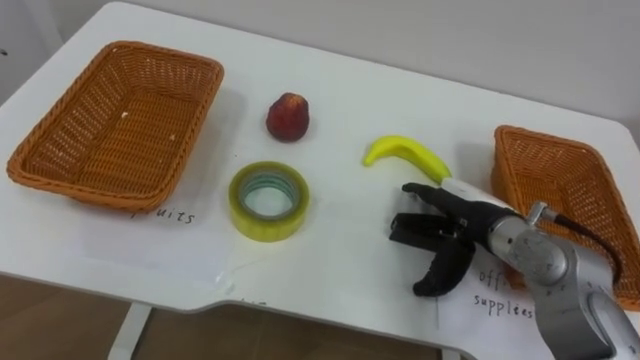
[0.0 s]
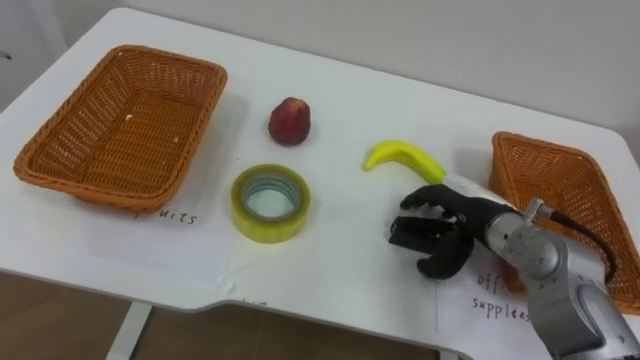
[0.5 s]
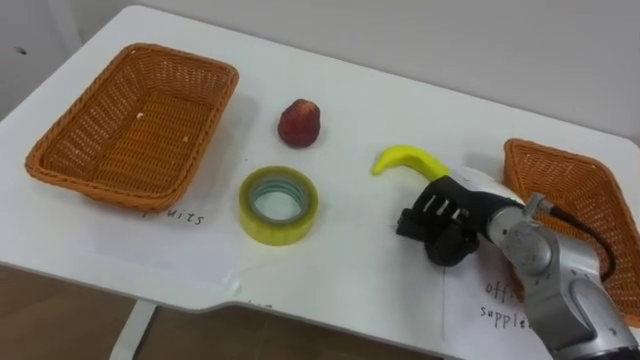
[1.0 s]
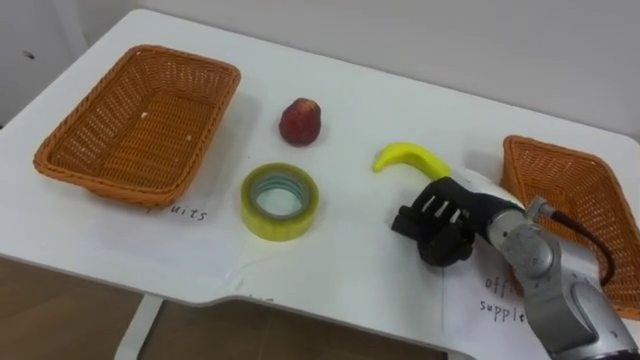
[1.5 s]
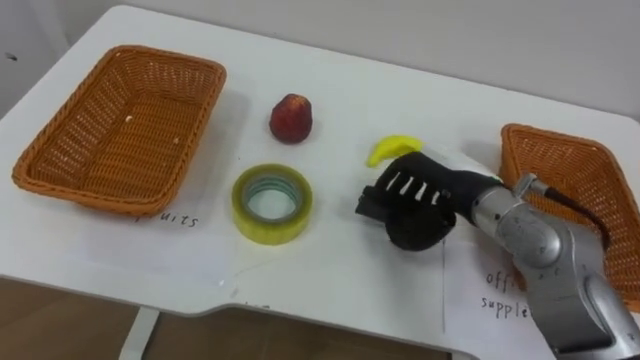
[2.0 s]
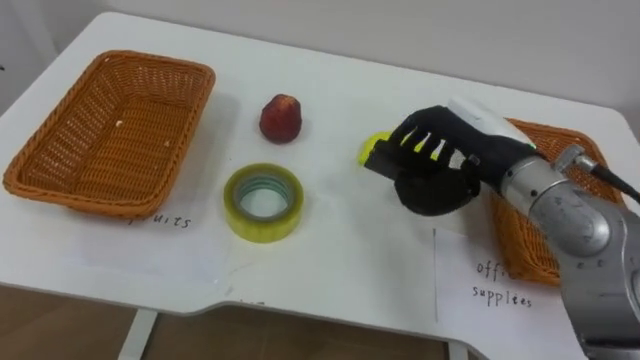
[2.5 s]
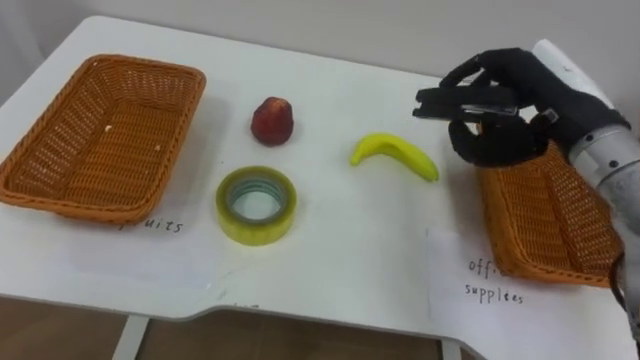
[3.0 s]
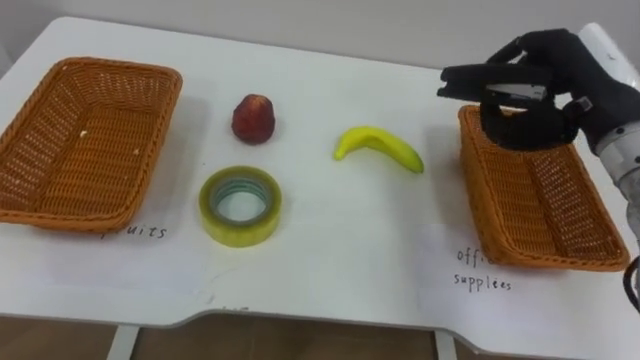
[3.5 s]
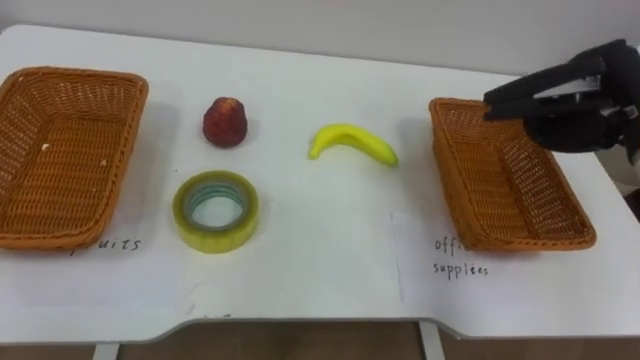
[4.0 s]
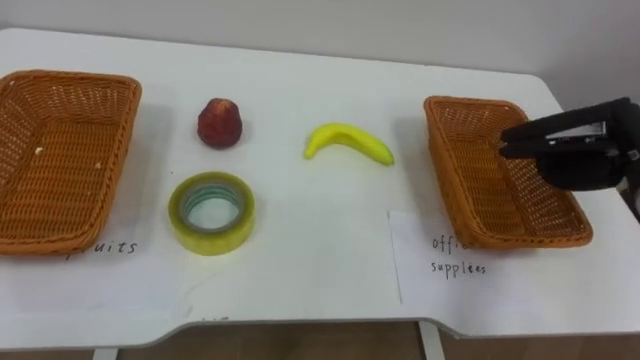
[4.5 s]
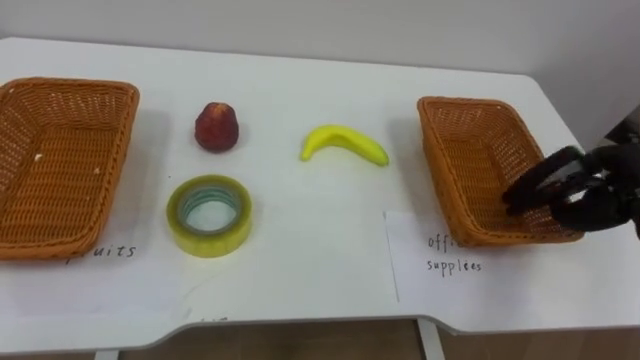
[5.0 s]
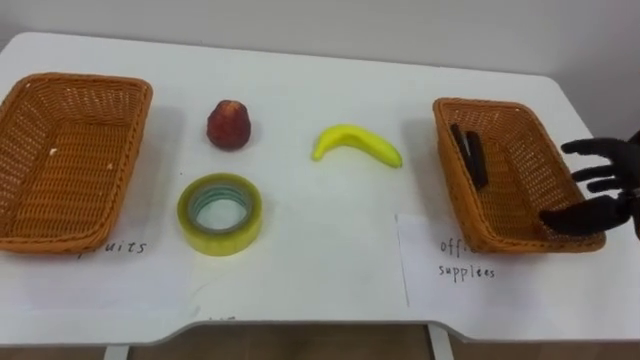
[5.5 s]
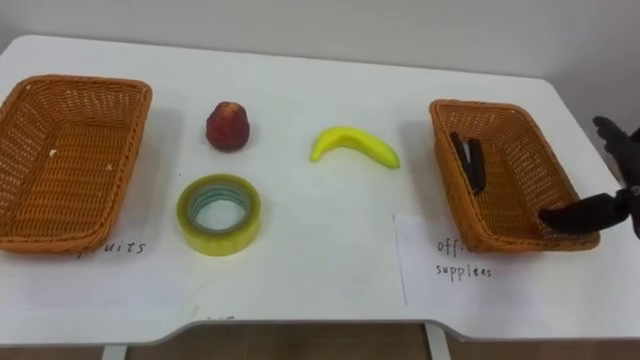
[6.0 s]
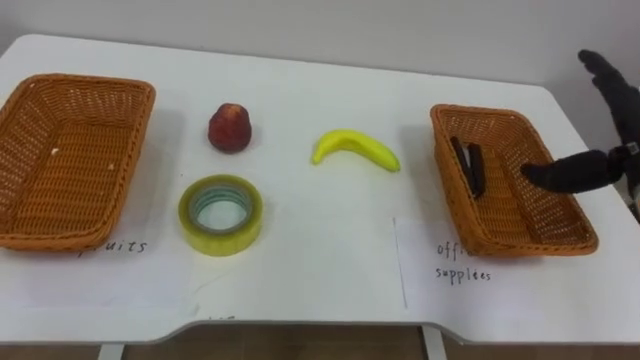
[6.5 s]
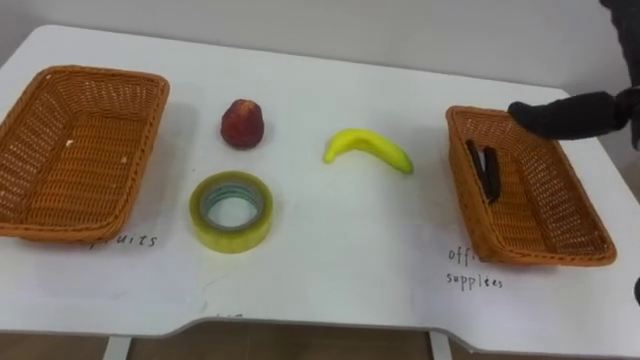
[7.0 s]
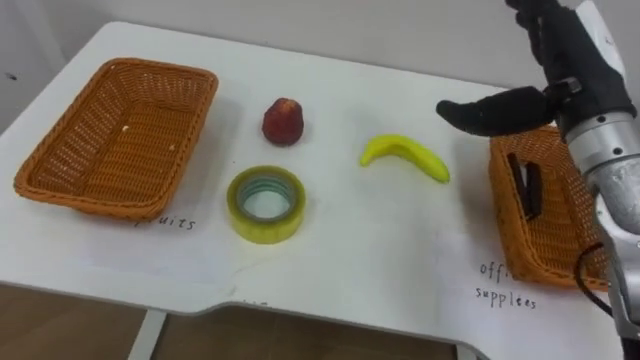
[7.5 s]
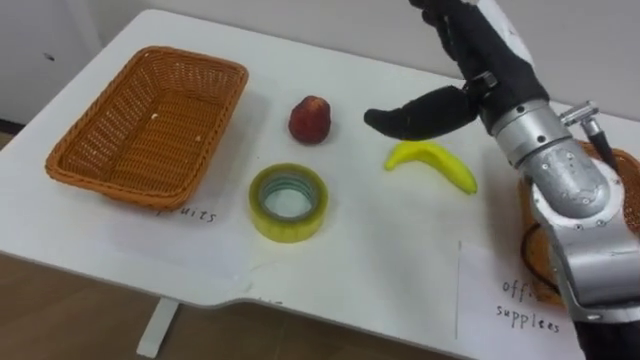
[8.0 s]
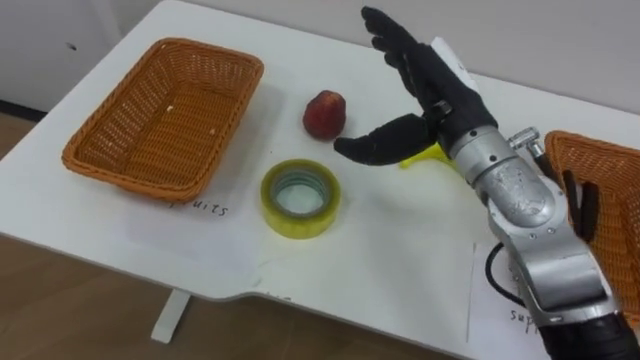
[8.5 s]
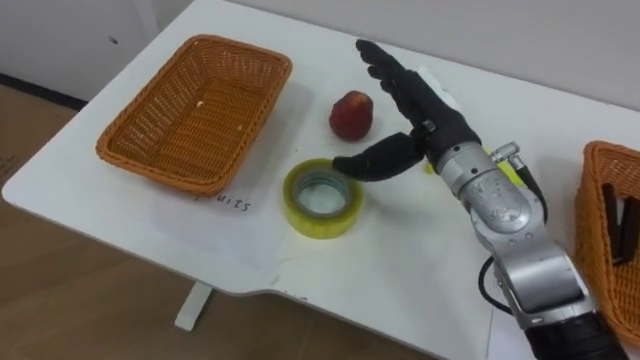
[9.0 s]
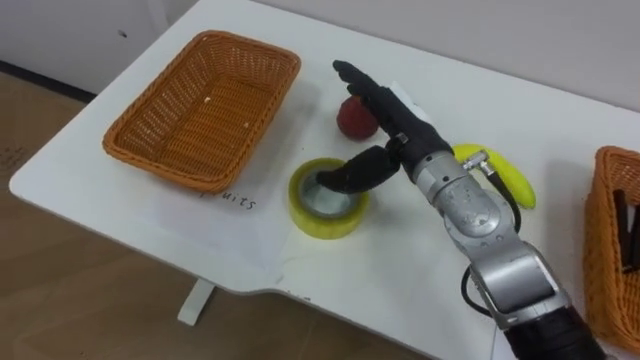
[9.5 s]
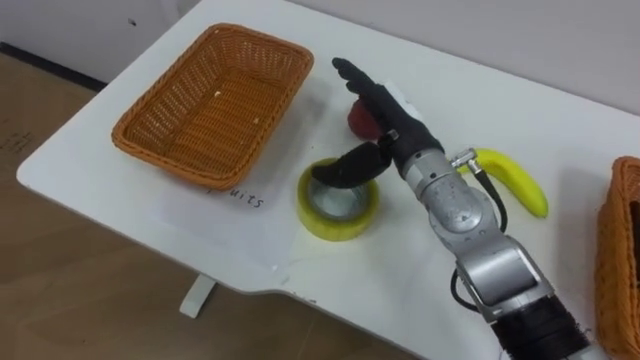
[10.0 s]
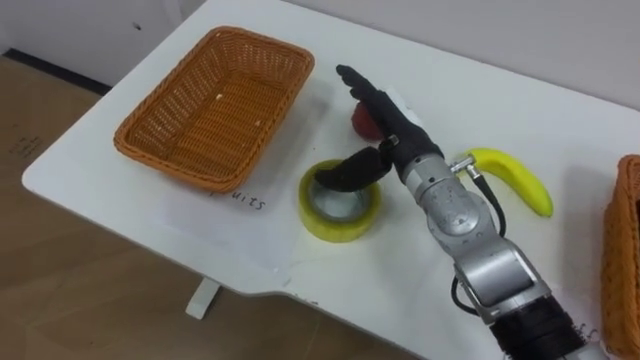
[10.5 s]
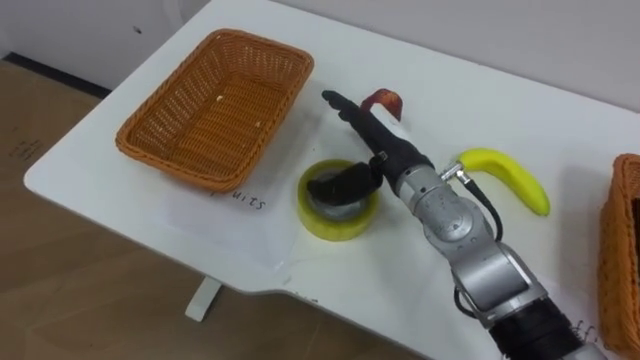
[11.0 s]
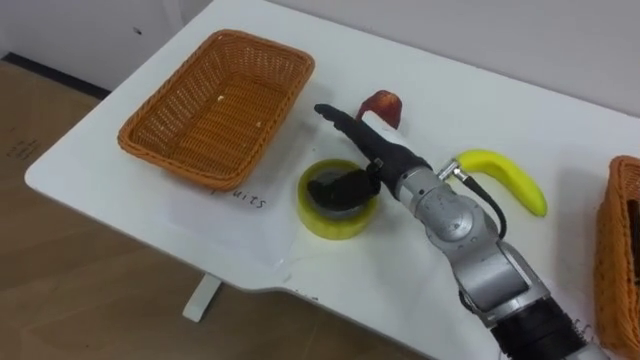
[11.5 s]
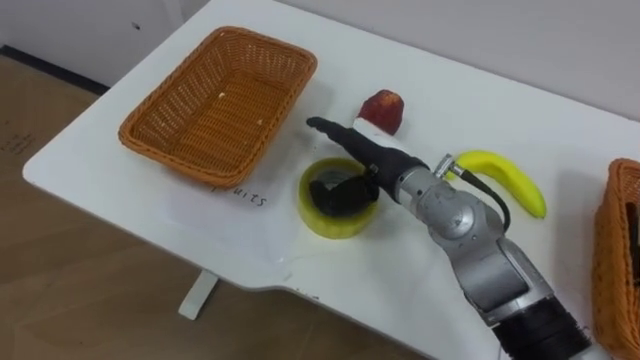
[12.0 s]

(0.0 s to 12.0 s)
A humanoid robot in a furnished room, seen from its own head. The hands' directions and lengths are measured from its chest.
Task of the whole recording: Separate the items on the table and place them into the two baskets.
0.0 s - 2.0 s: The right hand ends up approximately 5 cm from where it was, and closes.
2.0 s - 4.0 s: The right hand is displaced to the right and upward by roughly 20 cm, and closes up.
8.0 s - 10.0 s: The right hand is displaced downward and to the left by some 10 cm.

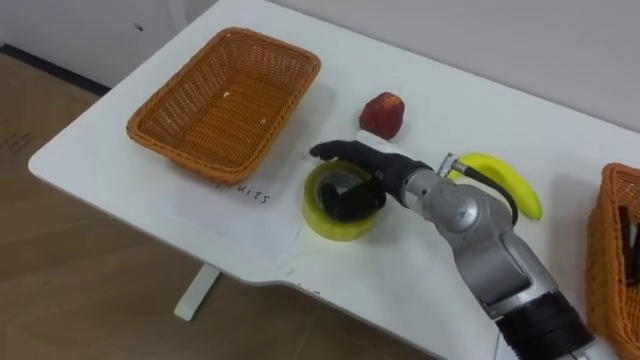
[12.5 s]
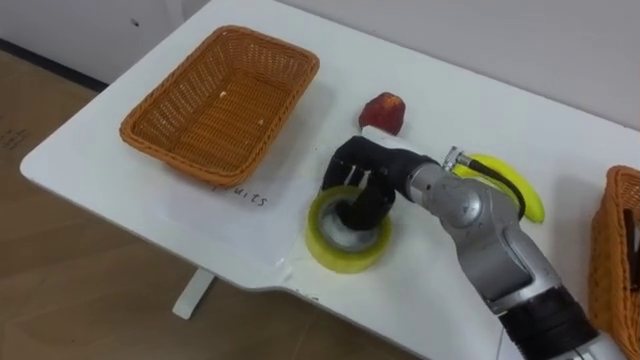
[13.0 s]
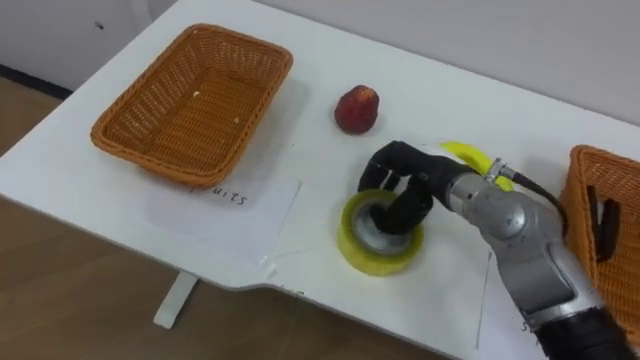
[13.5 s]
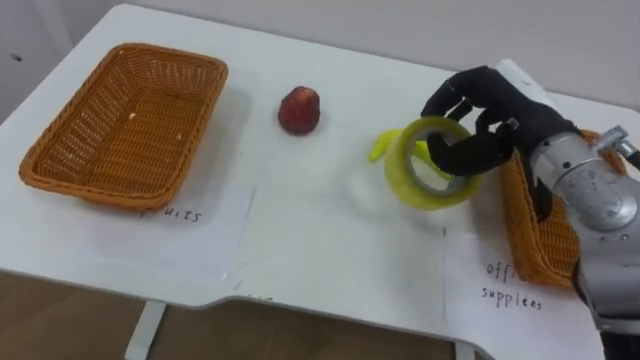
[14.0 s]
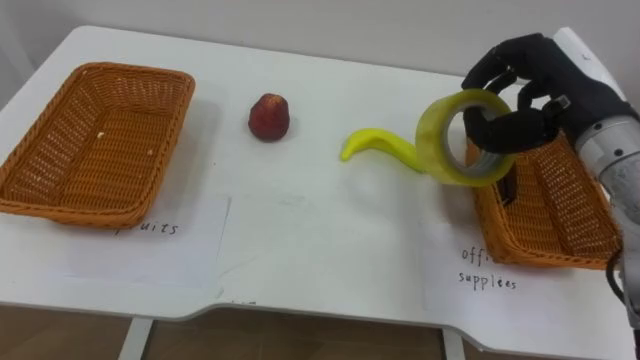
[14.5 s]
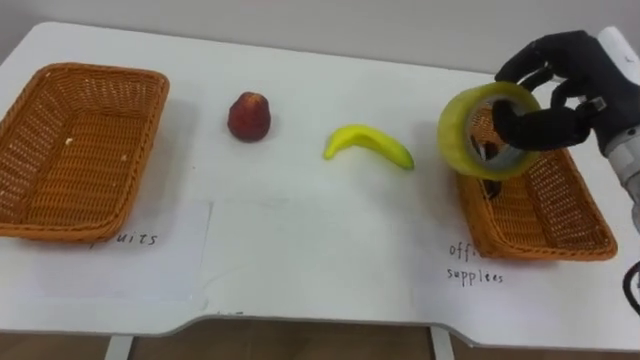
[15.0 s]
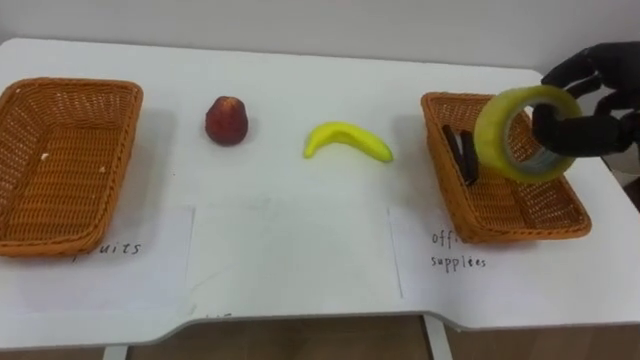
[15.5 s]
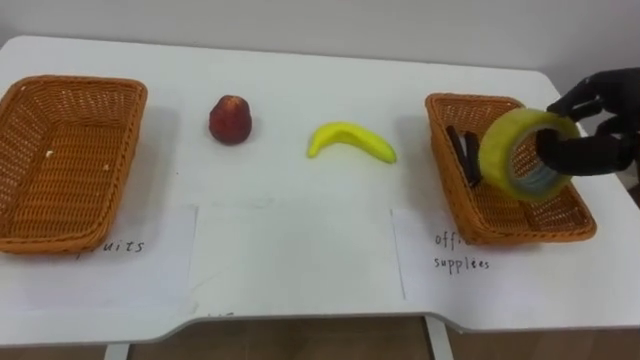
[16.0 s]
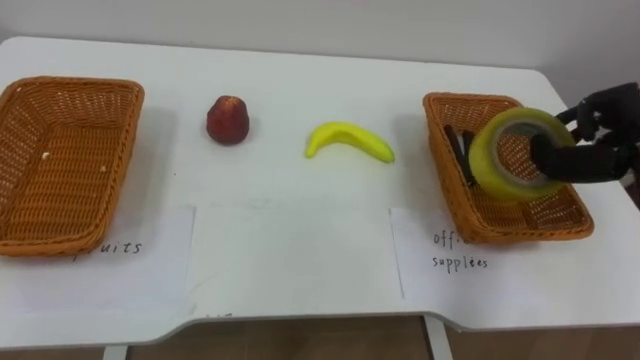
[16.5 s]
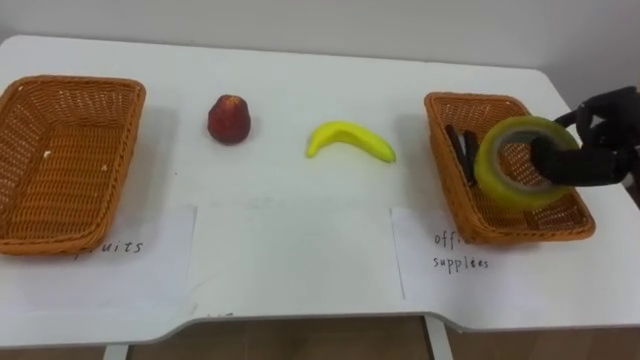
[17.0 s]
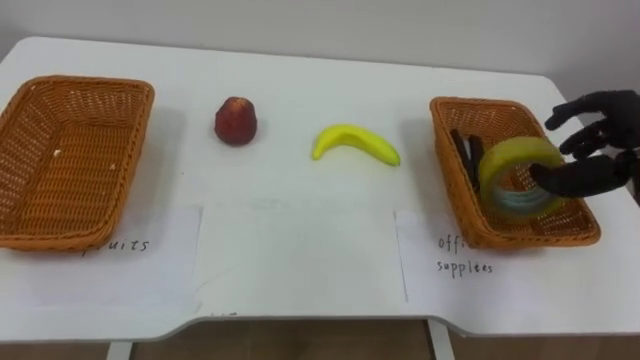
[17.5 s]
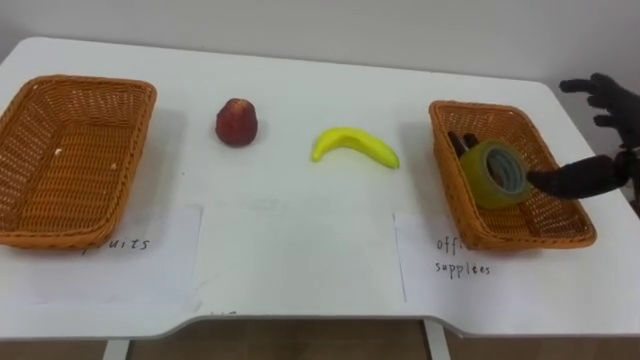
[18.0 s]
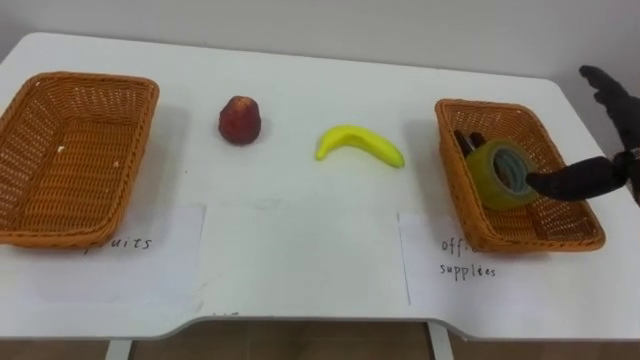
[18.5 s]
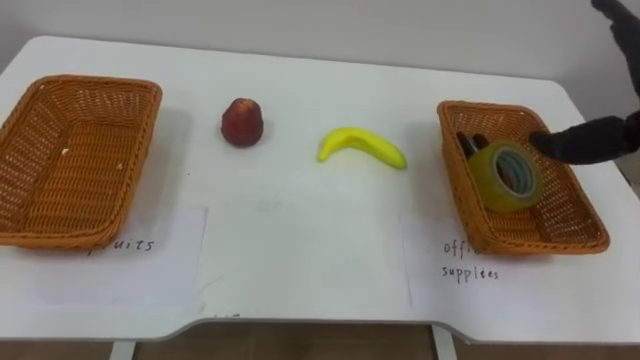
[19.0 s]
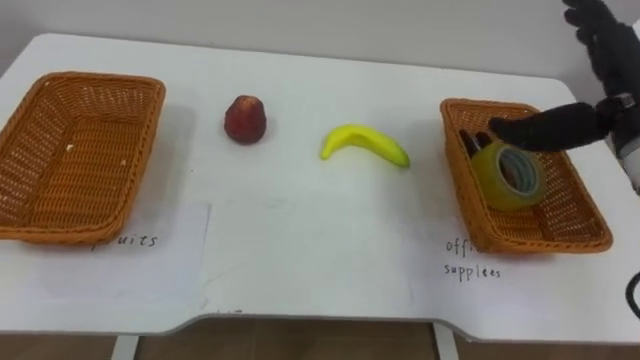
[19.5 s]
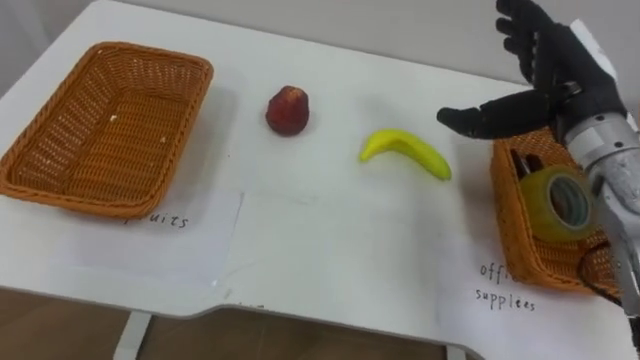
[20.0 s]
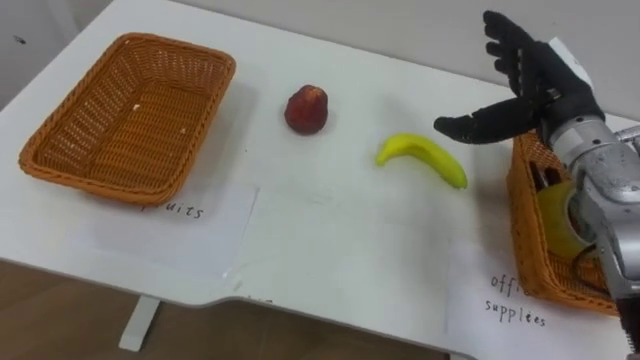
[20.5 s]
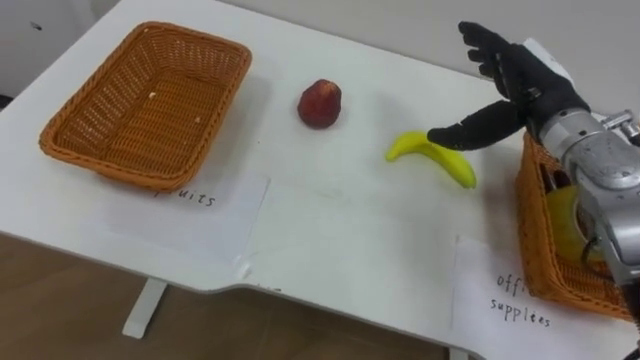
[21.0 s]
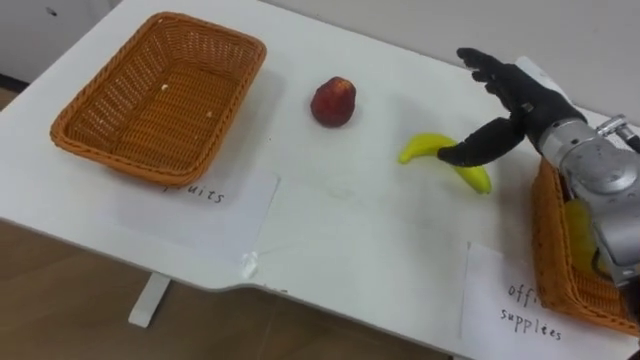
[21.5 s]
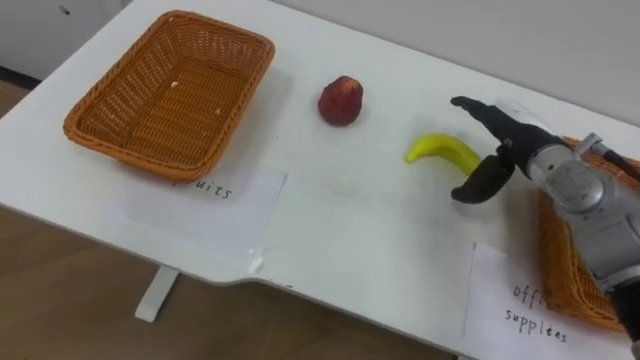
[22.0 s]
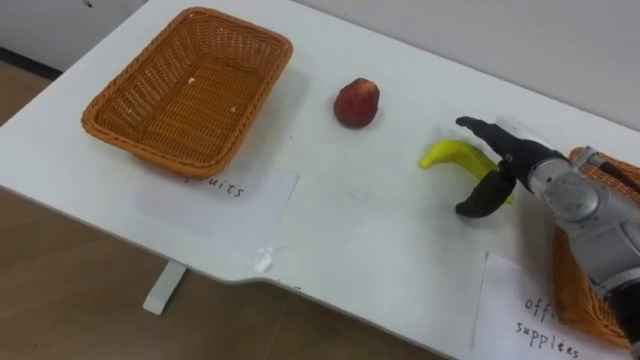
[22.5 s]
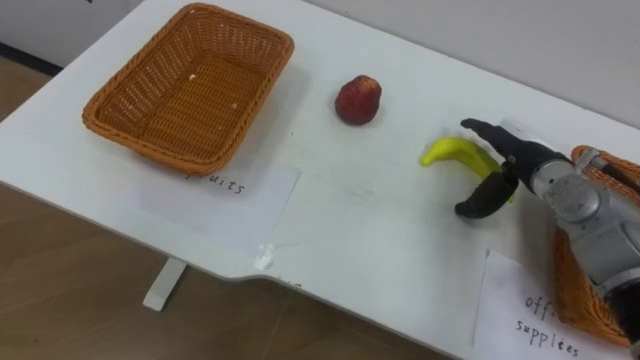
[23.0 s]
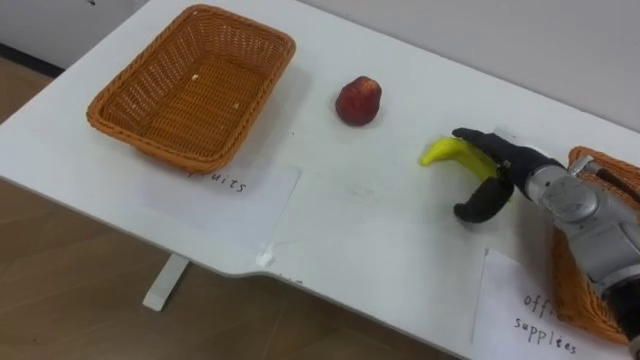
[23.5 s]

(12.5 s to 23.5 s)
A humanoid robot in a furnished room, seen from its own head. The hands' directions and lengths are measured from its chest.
Task of the whole recording: Separate the items on the table and place them into the two baskets.
12.5 s - 14.5 s: The right hand is displaced to the right and upward by some 20 cm, and closes up.
20.0 s - 21.5 s: The right hand goes approximately 5 cm downward.
21.5 s - 23.5 s: The right hand travels downward by about 10 cm.
